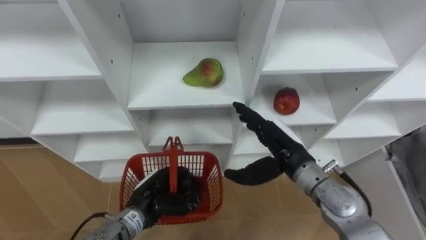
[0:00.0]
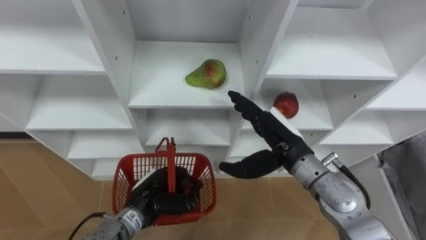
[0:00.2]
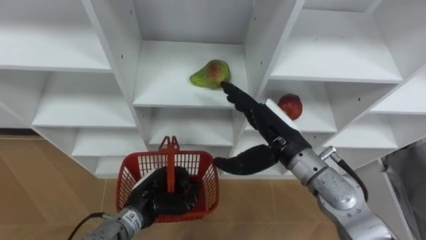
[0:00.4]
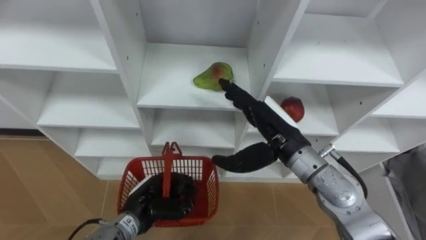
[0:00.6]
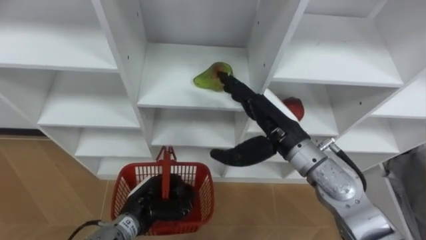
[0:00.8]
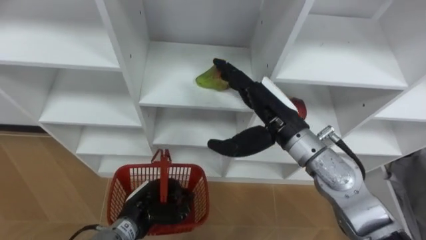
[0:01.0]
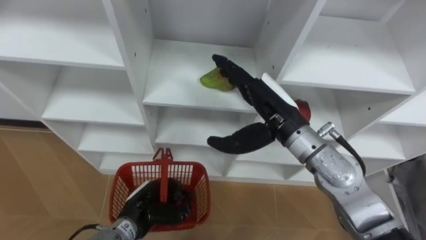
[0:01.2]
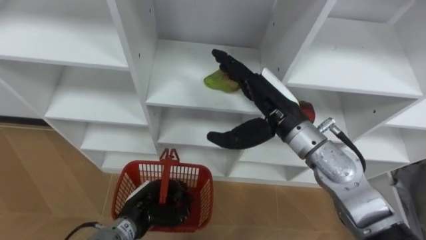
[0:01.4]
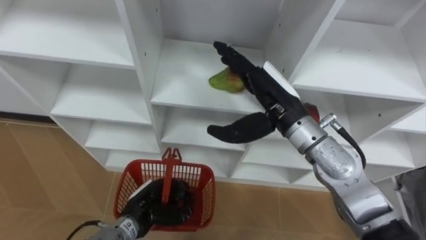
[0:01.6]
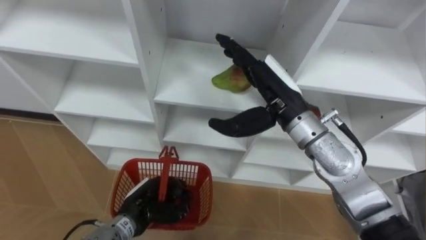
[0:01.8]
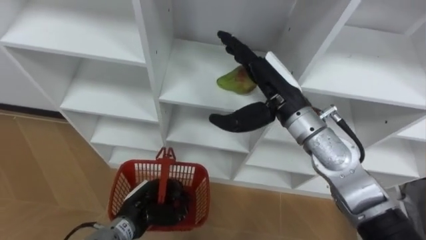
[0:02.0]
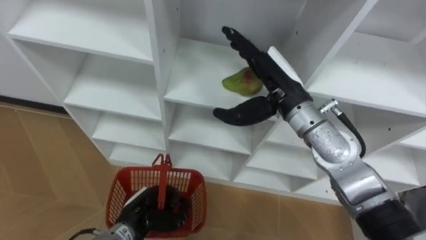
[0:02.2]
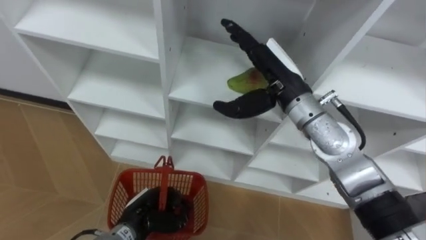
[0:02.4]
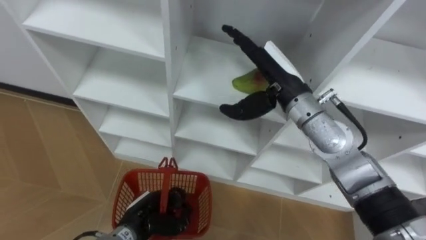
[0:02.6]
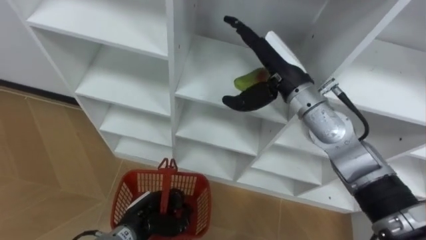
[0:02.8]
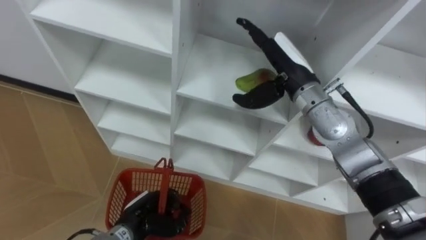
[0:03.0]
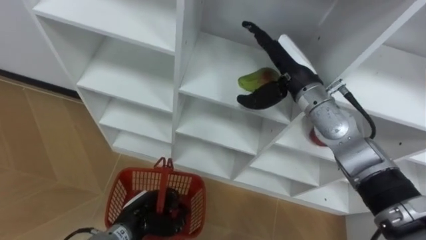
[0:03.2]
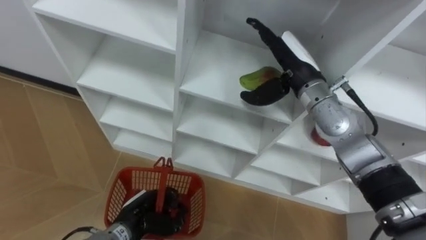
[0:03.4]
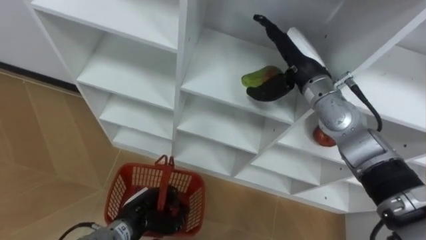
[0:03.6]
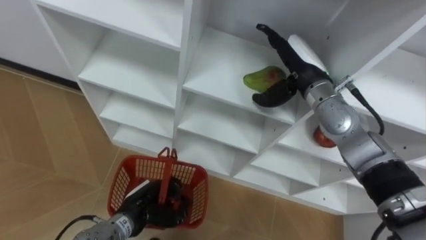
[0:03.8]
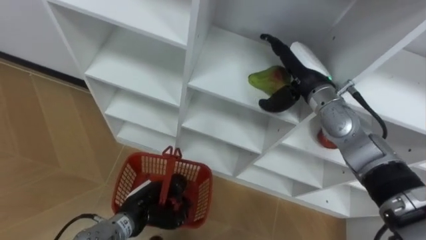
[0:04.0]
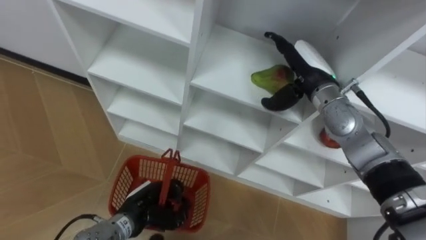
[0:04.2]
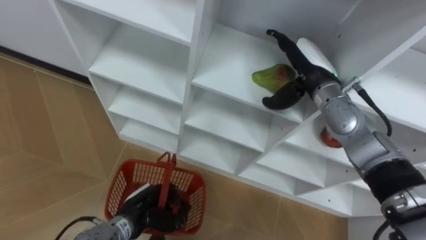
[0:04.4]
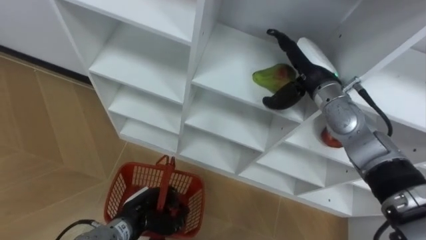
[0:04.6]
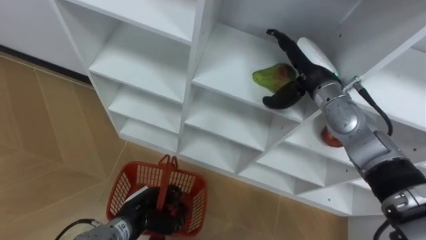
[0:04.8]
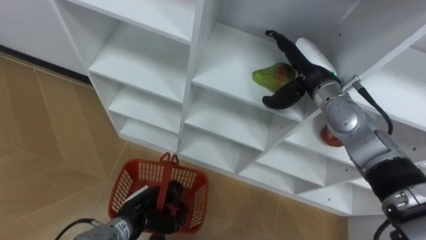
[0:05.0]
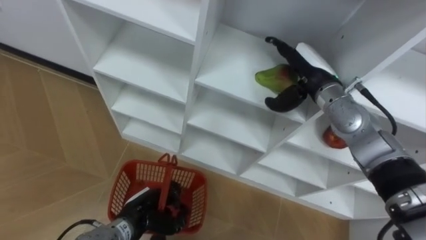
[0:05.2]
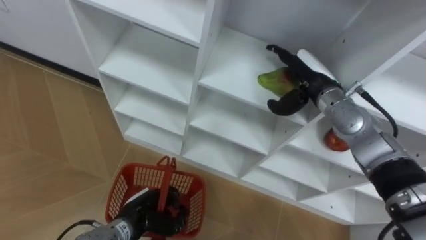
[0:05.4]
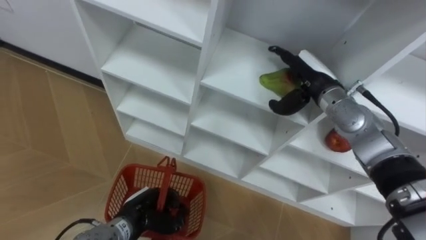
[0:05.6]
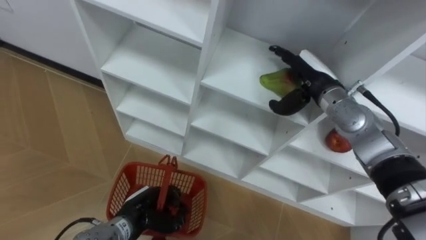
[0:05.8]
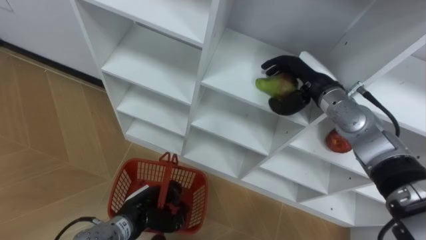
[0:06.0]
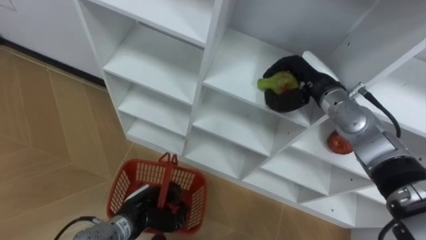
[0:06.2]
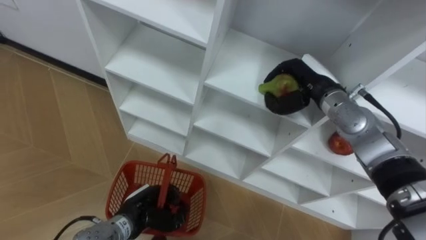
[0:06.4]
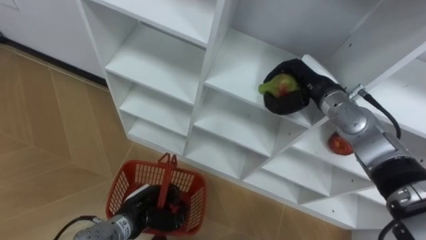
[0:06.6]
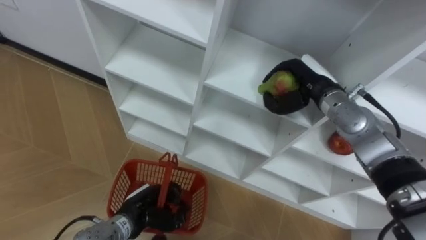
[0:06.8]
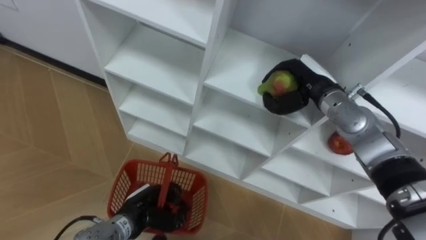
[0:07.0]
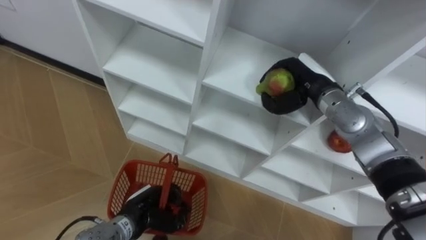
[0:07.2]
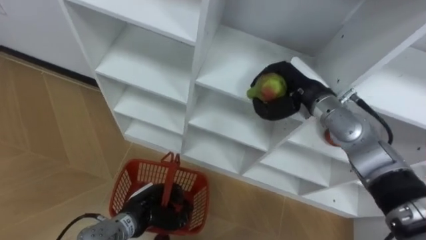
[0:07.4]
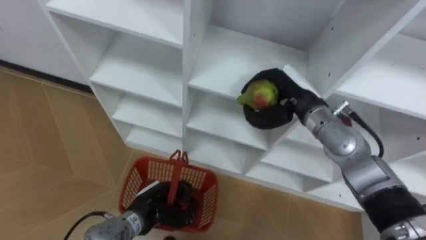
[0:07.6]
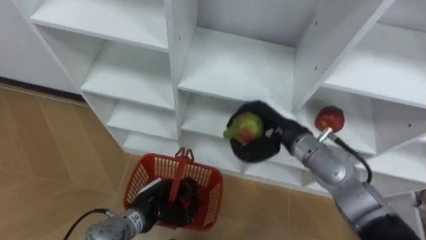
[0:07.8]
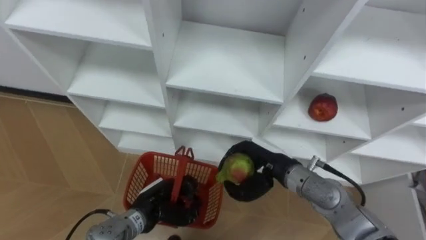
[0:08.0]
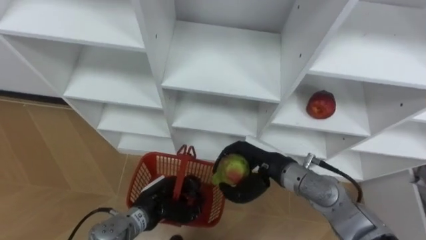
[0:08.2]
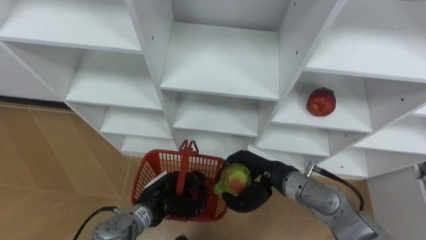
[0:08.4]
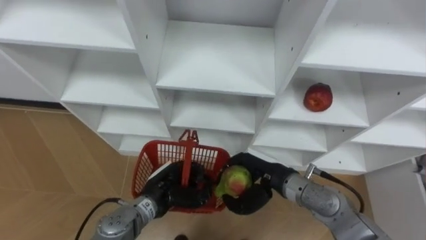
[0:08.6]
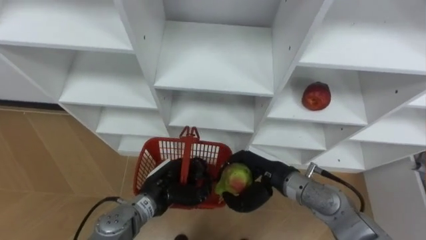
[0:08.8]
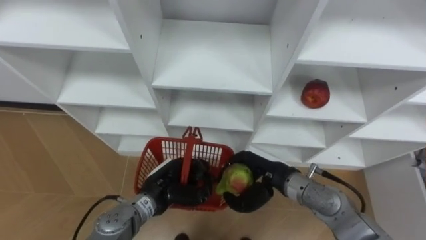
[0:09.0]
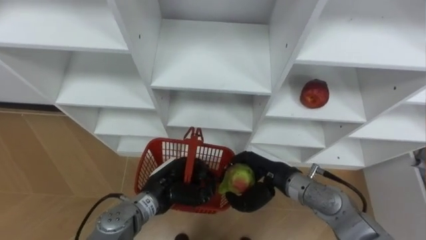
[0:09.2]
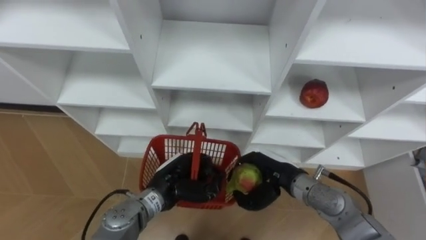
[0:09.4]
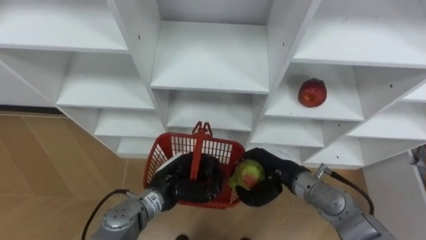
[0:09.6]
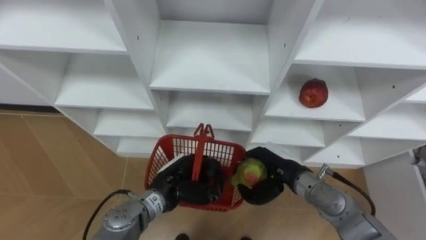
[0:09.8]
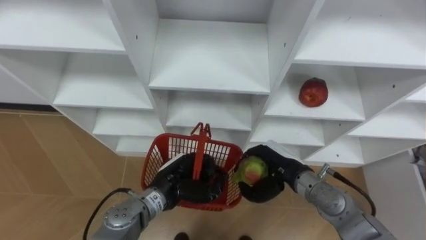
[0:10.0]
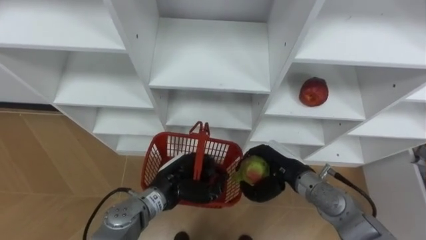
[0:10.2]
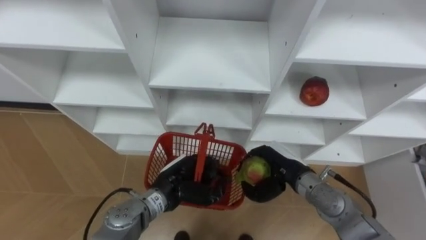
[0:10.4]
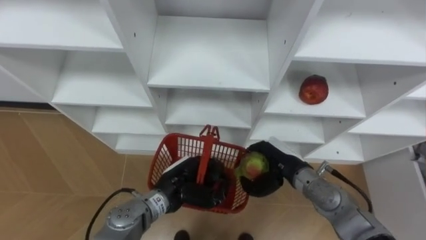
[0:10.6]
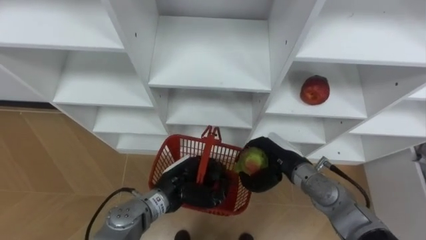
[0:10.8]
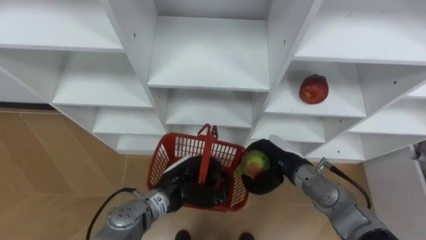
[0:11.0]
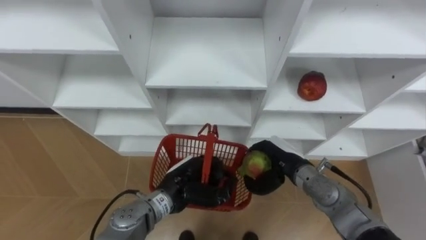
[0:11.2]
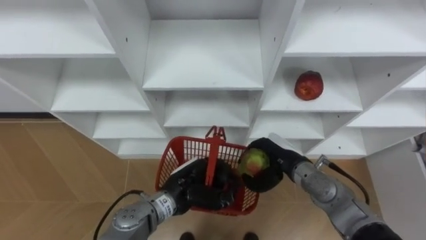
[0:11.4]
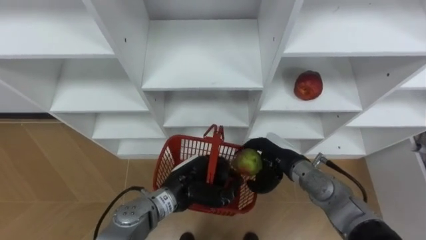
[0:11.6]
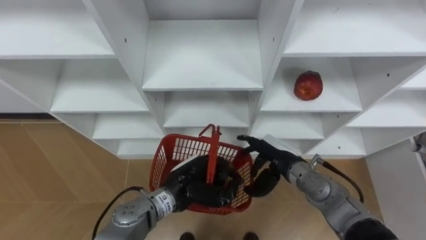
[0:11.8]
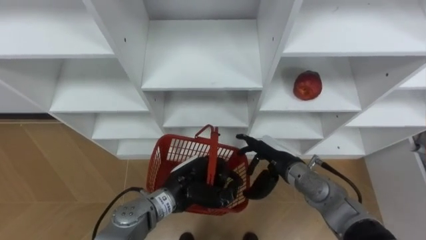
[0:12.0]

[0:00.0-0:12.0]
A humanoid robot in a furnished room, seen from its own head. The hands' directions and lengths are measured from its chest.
Task of the whole recording: Hold the basket and collect the fruits from 3 different cells of the closet into it.
0:00.0 to 0:01.6: The right hand travels upward by roughly 10 cm.
0:01.6 to 0:03.0: The right hand travels forward by approximately 5 cm.
0:03.0 to 0:04.4: The right hand ends up some 5 cm from where it was.
0:04.4 to 0:06.0: The right hand closes its fingers.
0:06.0 to 0:07.6: The right hand closes its fingers.
0:07.6 to 0:09.0: The left hand ends up about 5 cm from where it was. Meanwhile the right hand heads backward and downward, covering about 15 cm.
0:09.0 to 0:10.4: The hands move only a little.
0:10.4 to 0:12.0: The right hand opens.

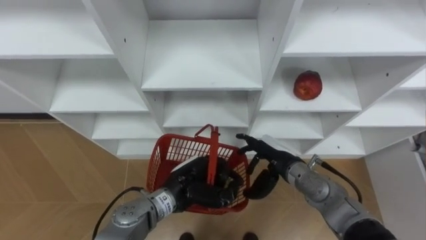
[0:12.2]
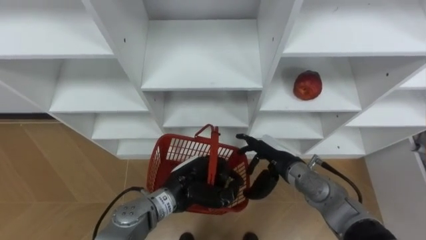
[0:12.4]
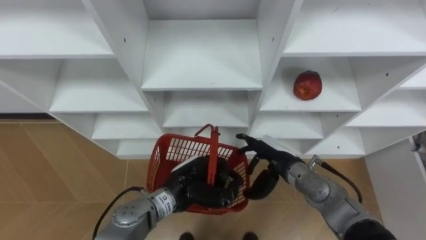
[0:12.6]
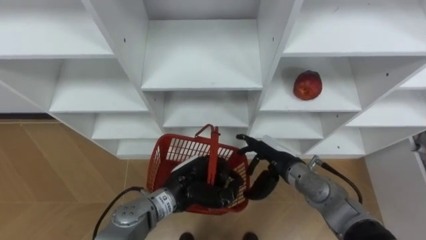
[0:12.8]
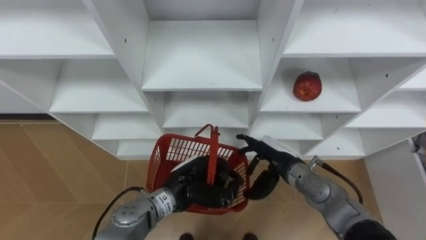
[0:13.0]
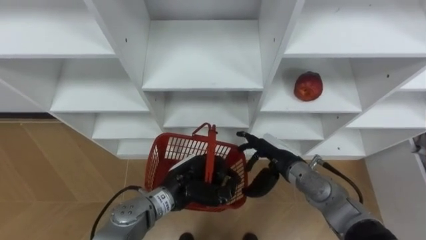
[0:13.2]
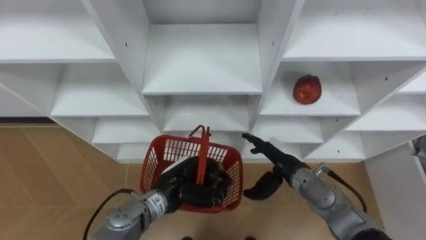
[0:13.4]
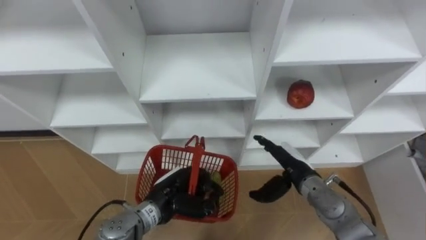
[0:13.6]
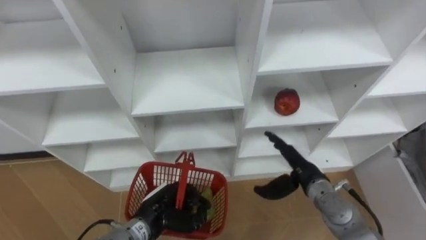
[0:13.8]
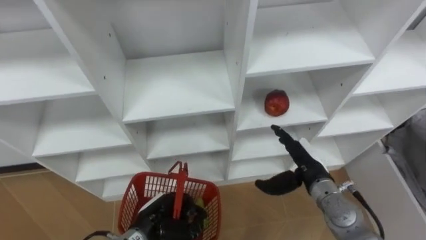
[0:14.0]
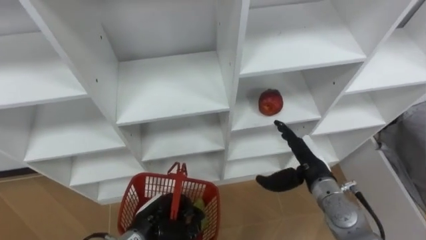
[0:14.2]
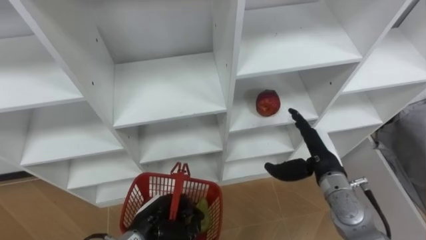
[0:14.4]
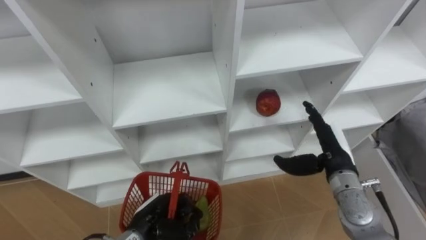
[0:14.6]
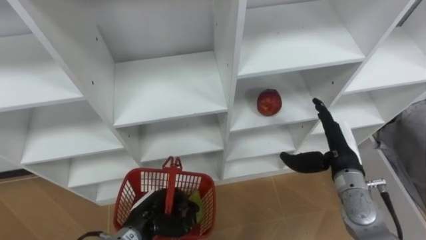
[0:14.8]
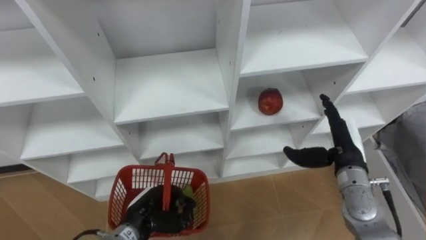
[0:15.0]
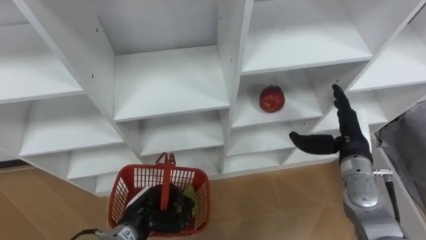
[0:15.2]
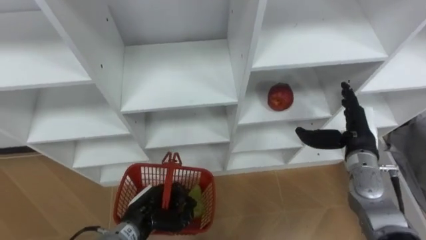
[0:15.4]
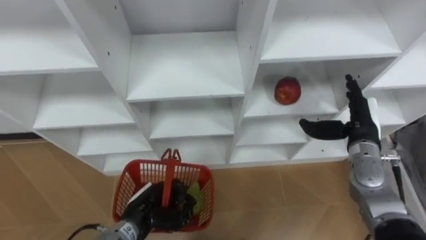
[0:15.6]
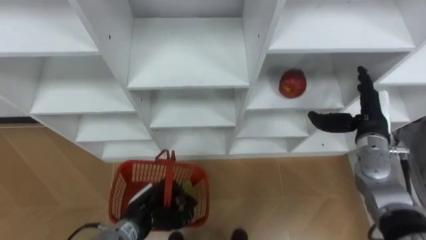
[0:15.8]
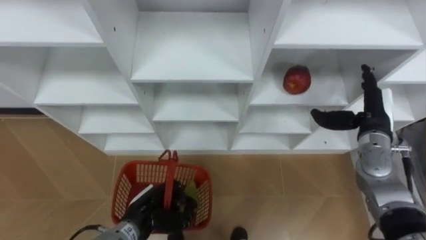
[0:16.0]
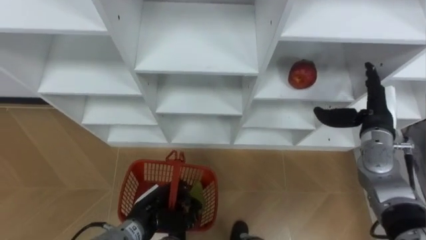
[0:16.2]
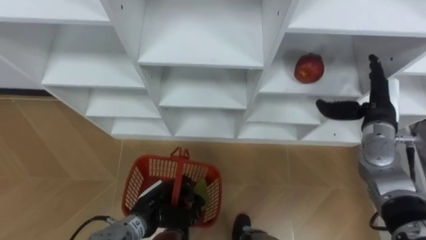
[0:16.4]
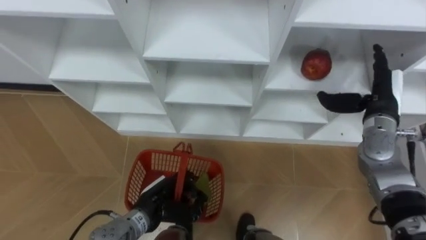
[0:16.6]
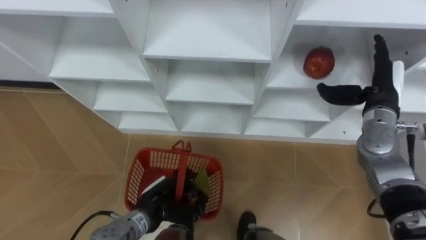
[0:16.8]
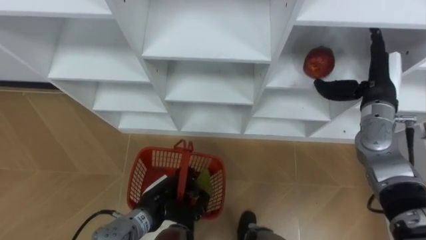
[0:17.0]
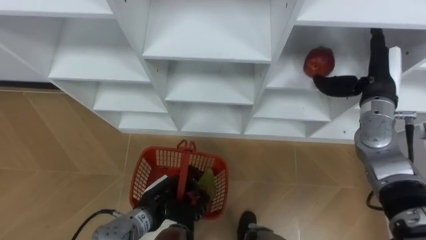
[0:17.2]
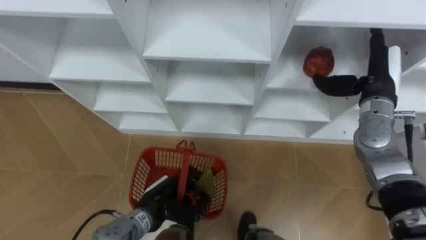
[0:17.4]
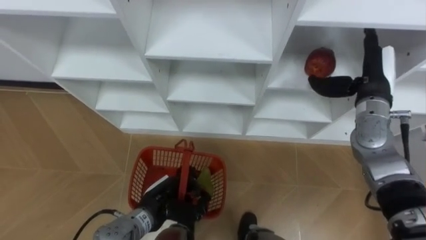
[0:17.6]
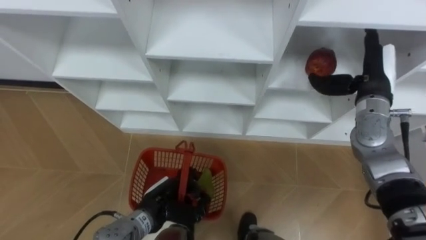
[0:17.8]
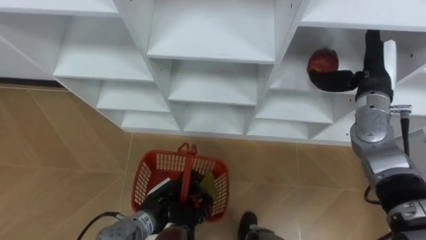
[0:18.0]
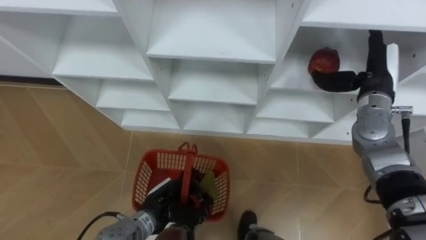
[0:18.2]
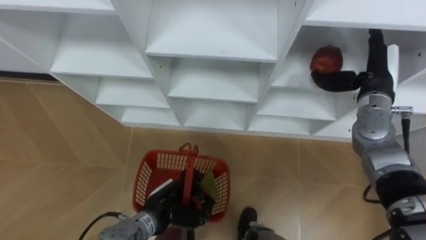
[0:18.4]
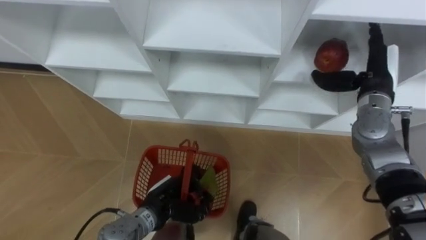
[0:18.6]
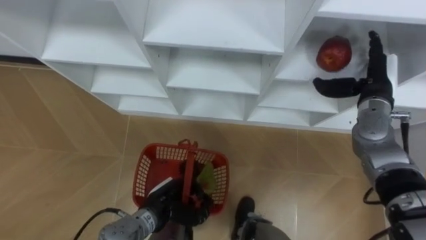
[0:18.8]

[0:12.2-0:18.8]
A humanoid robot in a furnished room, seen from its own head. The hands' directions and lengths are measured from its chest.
Task of the whole recording: Hold the basket and collect the fruits from 3 different cells of the closet into it.
0:12.2 to 0:13.8: The left hand goes some 5 cm to the left, while the right hand ends up about 5 cm from where it was.
0:13.8 to 0:15.4: The right hand is displaced to the right and upward by roughly 10 cm.
0:15.4 to 0:17.2: The right hand goes about 10 cm upward and forward.
